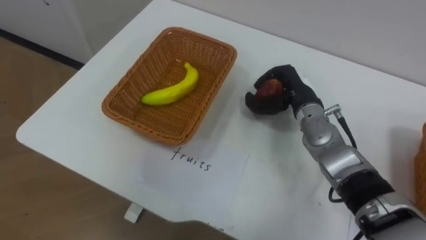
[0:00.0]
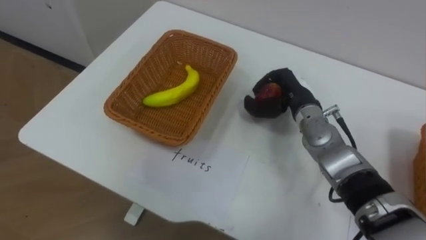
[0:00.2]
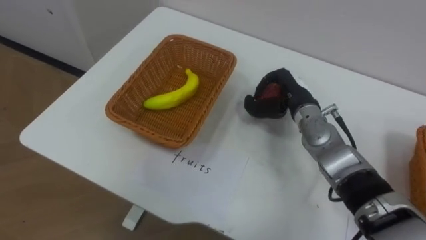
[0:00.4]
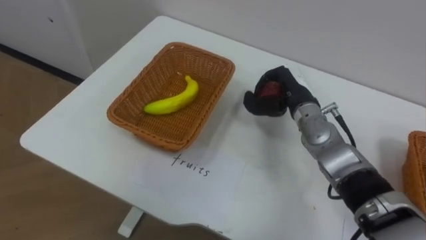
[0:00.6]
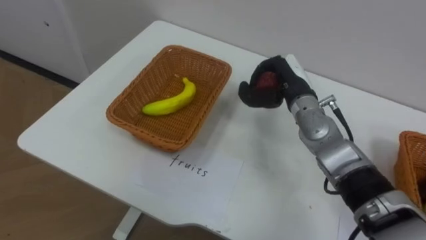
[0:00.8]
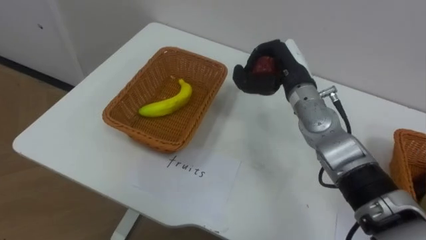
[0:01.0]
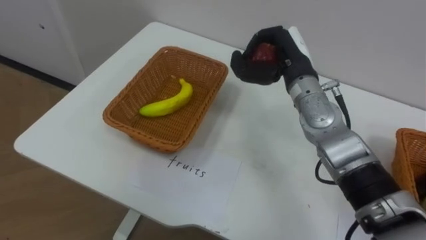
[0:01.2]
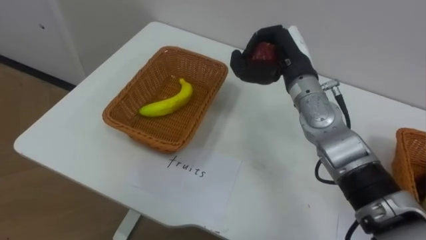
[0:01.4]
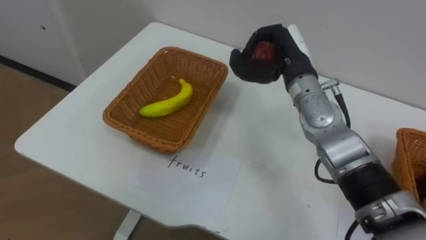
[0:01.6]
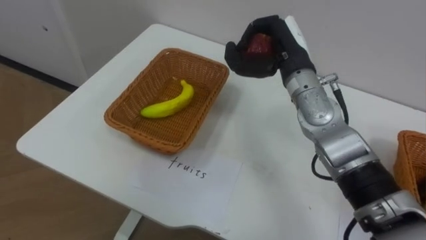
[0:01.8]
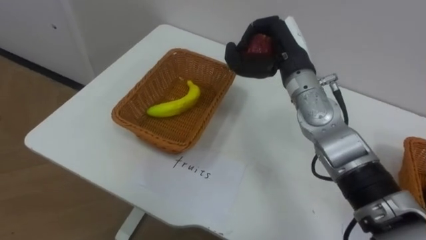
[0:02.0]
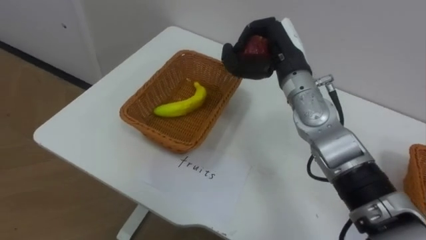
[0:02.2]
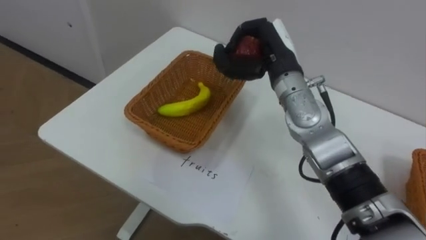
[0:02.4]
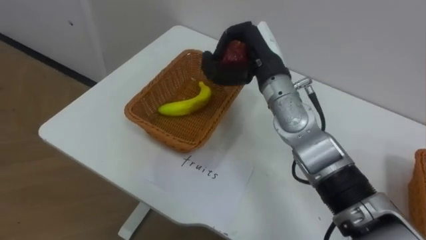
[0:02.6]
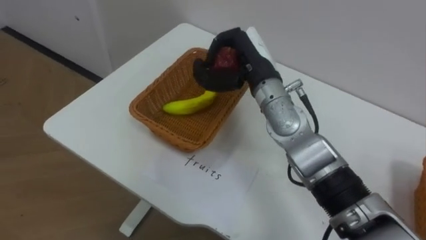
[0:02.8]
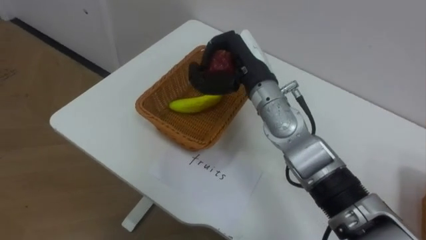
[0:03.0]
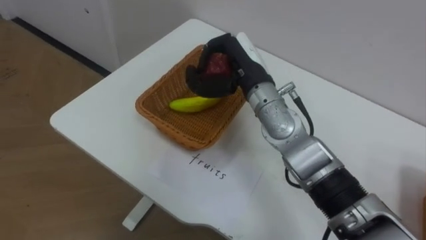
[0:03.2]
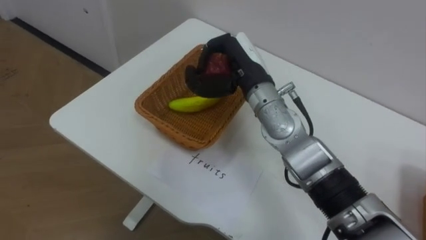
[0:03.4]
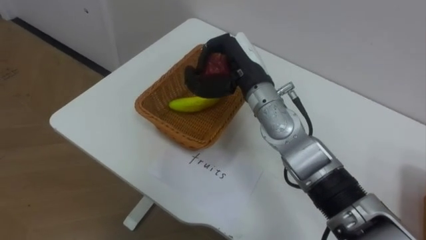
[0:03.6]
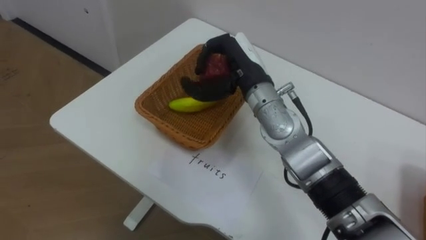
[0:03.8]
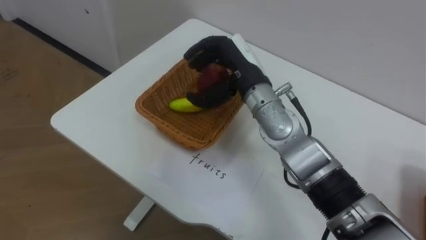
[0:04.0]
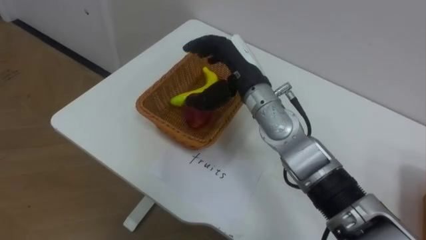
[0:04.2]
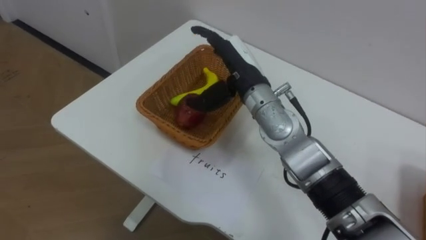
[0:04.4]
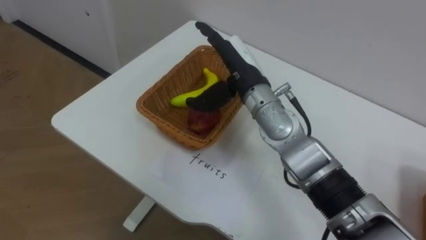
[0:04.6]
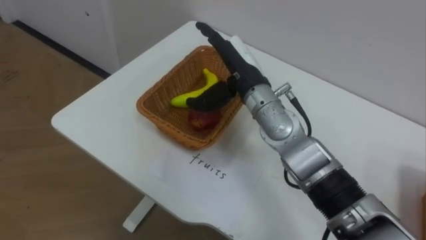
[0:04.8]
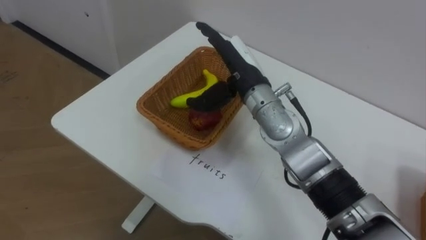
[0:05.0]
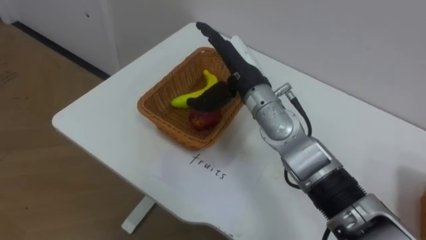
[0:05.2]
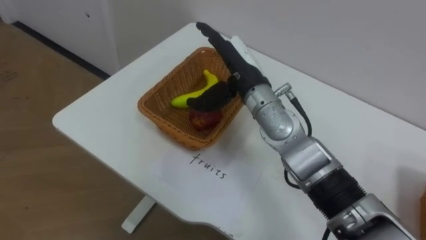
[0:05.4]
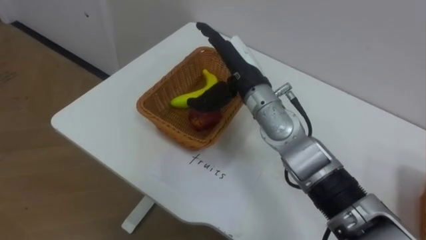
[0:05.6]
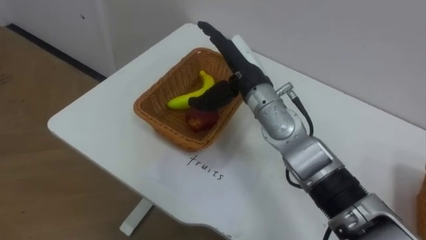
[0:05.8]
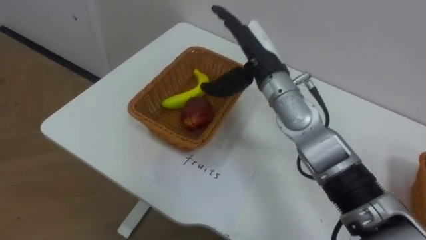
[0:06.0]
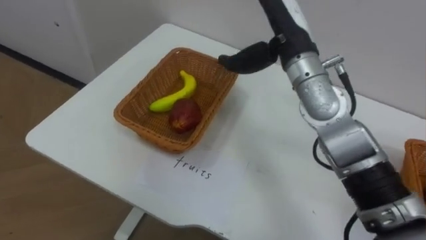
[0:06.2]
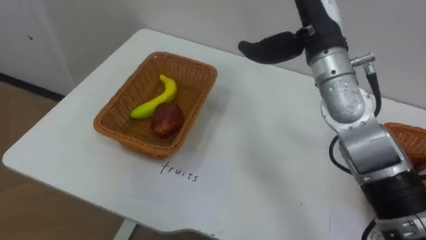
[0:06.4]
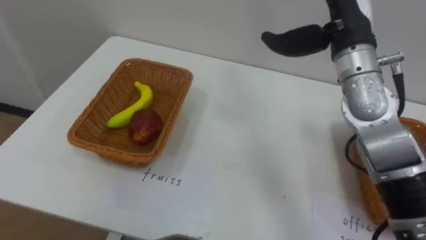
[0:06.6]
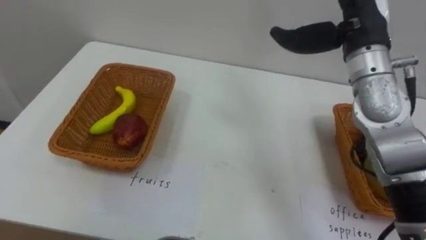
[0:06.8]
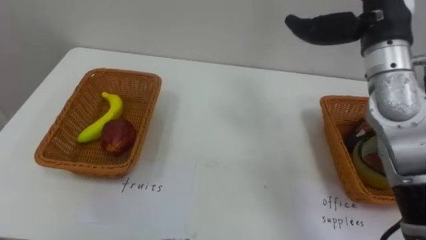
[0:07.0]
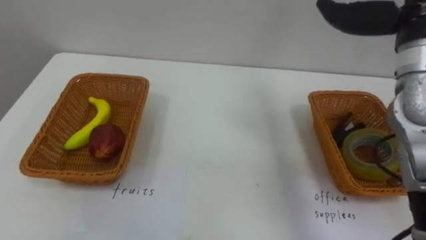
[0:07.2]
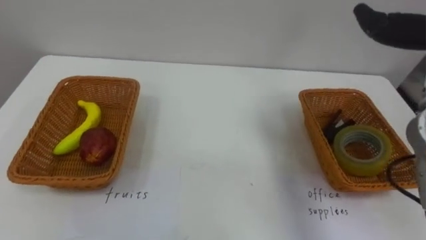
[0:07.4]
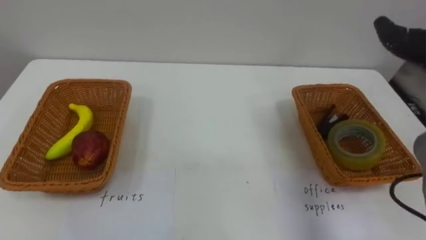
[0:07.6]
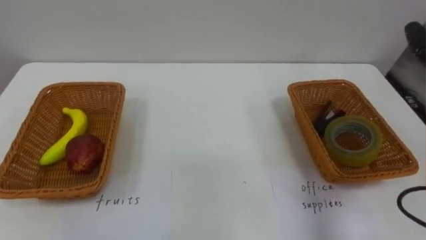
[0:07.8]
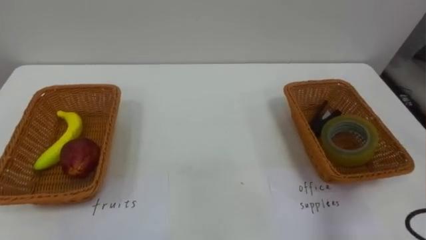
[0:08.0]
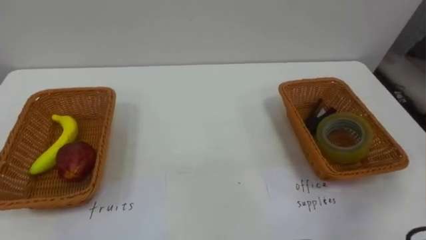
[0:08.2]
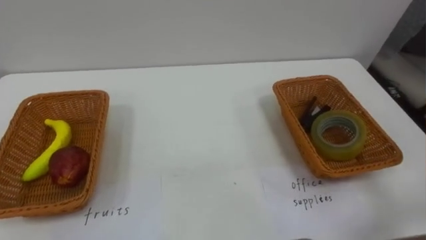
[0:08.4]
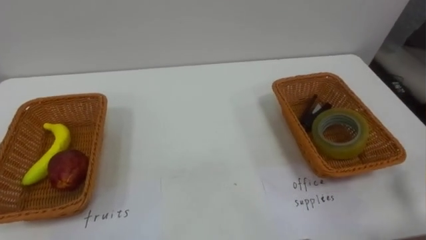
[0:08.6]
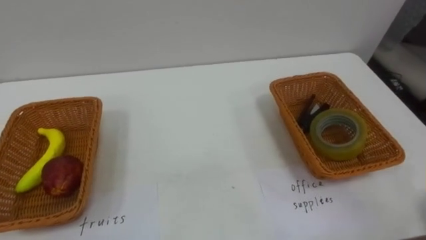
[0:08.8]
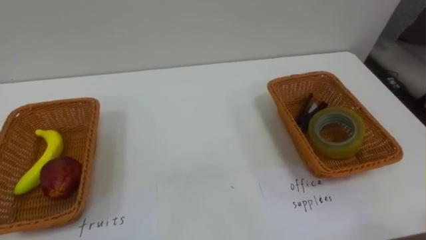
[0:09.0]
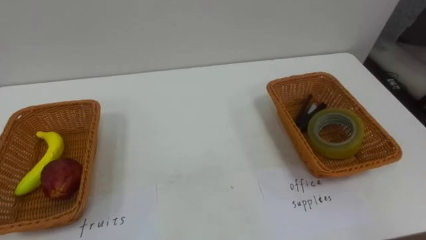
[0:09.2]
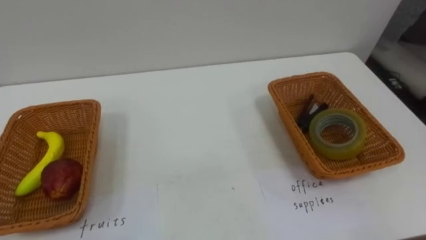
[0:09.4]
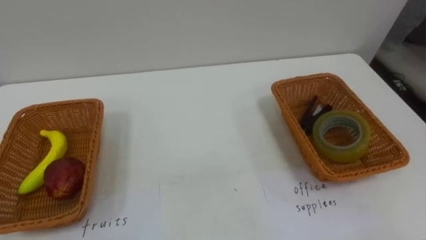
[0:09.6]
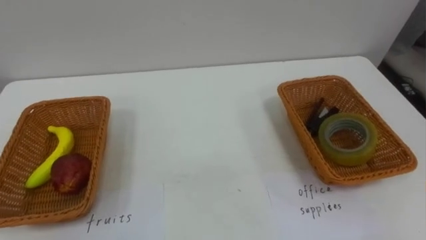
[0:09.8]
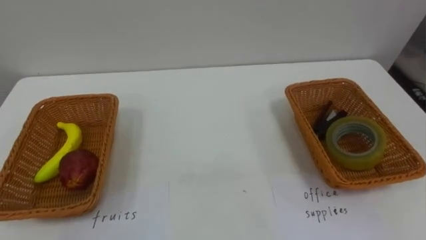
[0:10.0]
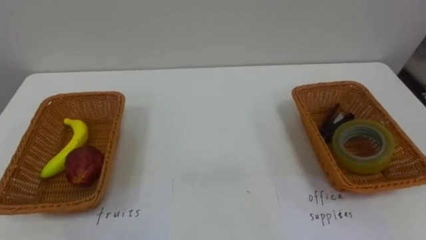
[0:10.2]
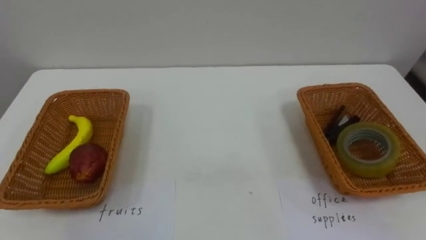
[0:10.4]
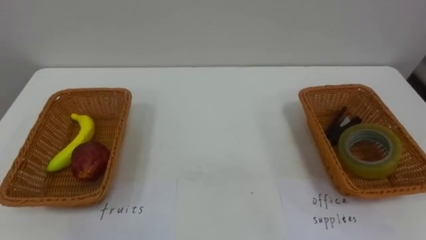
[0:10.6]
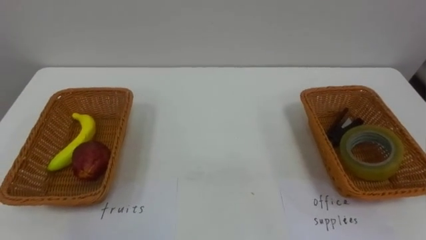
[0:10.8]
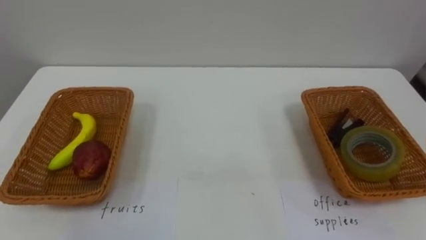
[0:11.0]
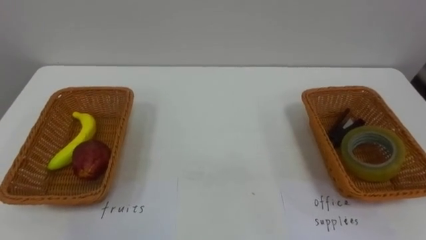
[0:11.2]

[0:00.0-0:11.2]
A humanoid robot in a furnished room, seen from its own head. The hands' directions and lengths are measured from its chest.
Task of the whole recording: Separate the items on the table and place them into the two baskets.
0:00.0 to 0:01.6: The right hand shifts approximately 10 cm upward.
0:01.6 to 0:03.2: The right hand shifts about 10 cm to the left.
0:03.2 to 0:04.8: The right hand opens.
0:04.8 to 0:06.4: The right hand shifts about 15 cm to the right and upward.

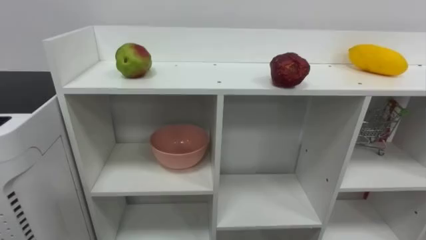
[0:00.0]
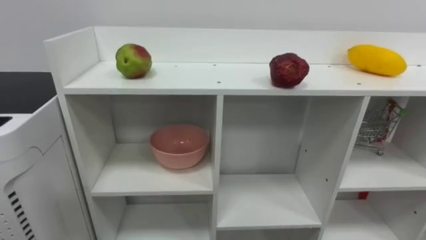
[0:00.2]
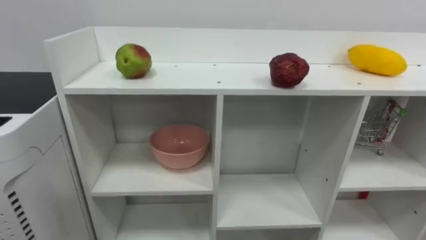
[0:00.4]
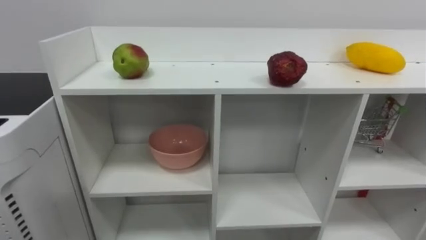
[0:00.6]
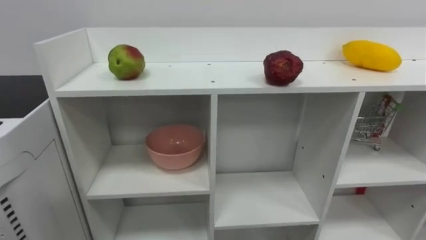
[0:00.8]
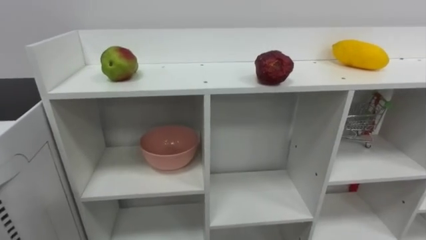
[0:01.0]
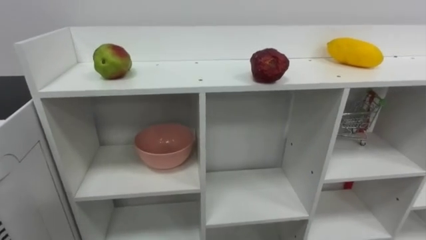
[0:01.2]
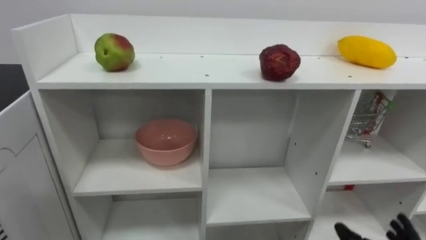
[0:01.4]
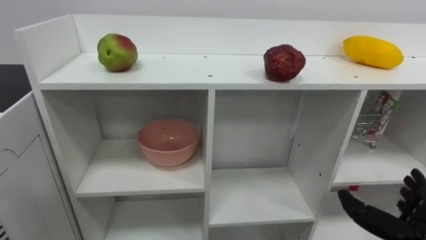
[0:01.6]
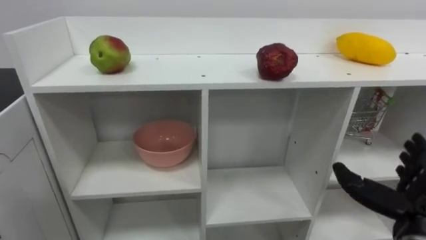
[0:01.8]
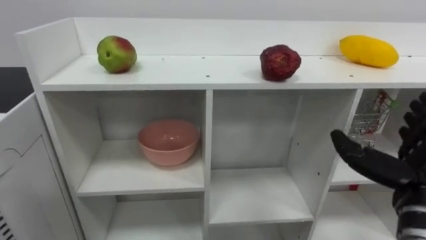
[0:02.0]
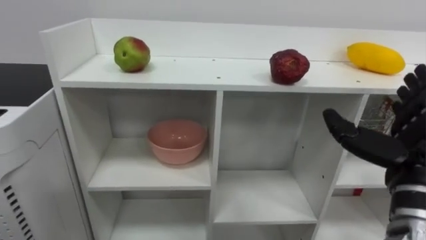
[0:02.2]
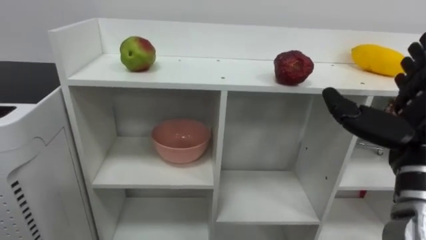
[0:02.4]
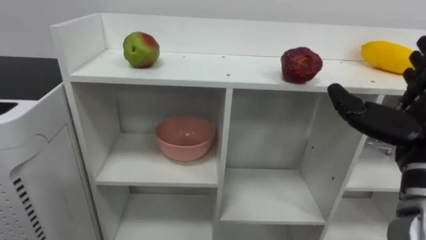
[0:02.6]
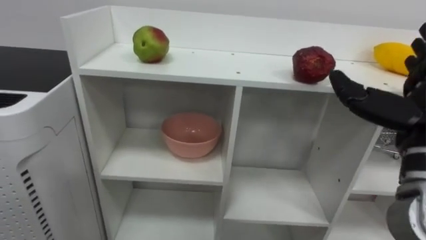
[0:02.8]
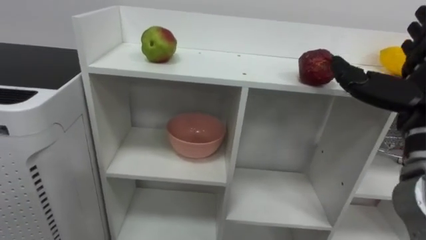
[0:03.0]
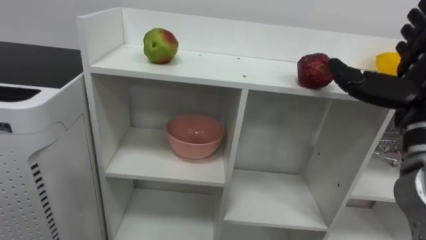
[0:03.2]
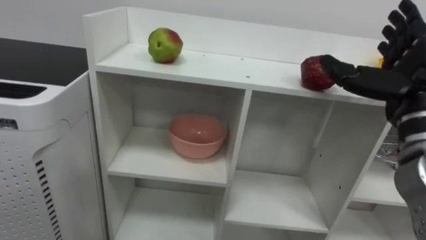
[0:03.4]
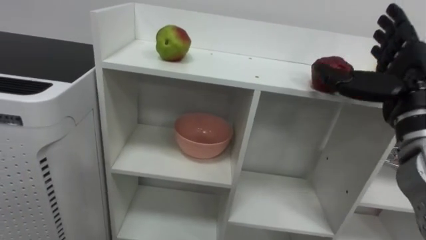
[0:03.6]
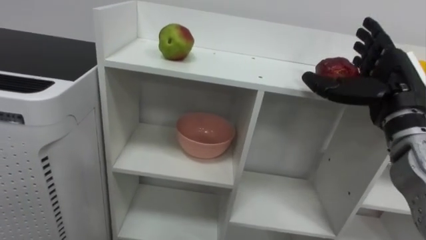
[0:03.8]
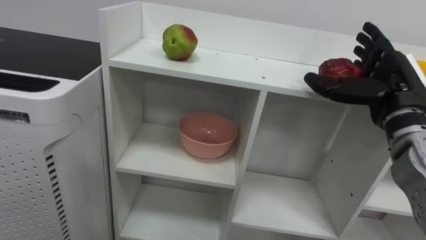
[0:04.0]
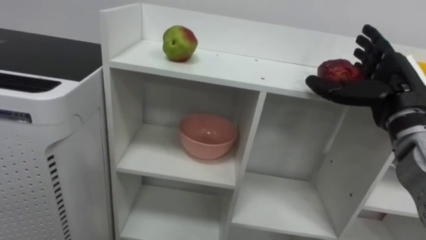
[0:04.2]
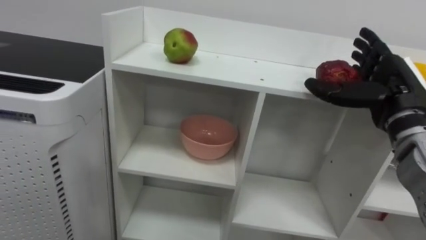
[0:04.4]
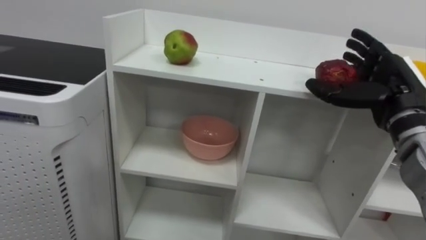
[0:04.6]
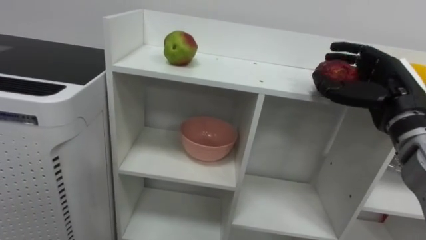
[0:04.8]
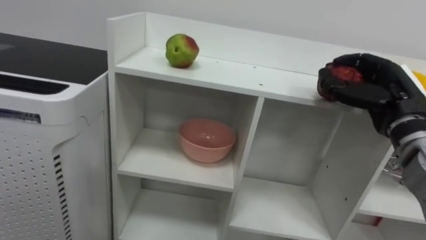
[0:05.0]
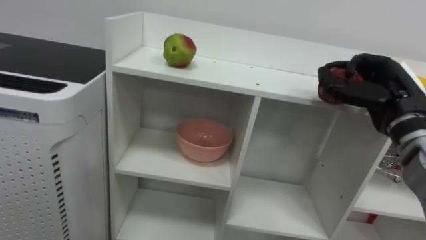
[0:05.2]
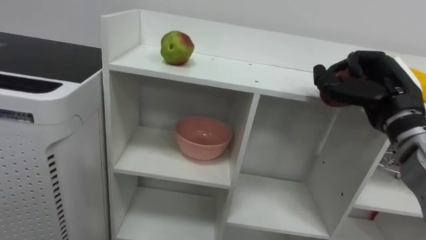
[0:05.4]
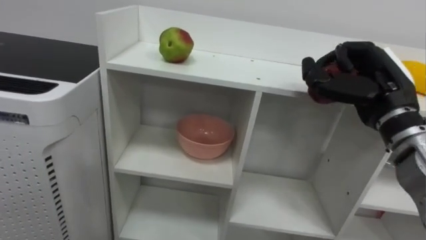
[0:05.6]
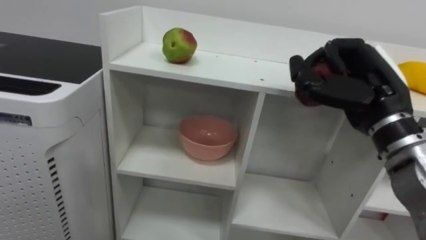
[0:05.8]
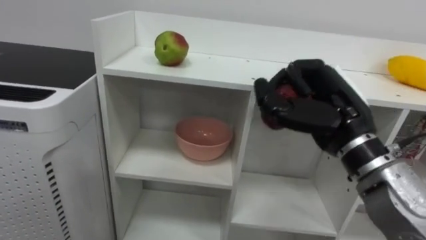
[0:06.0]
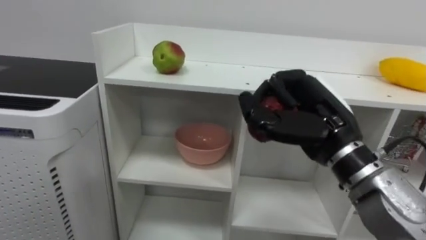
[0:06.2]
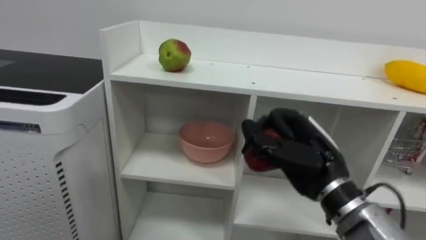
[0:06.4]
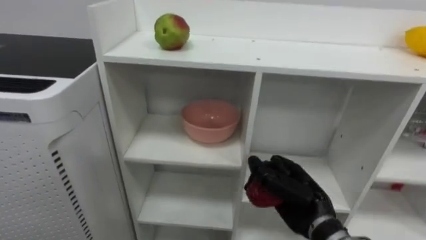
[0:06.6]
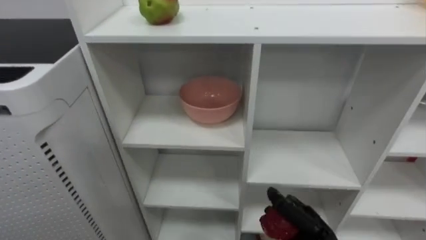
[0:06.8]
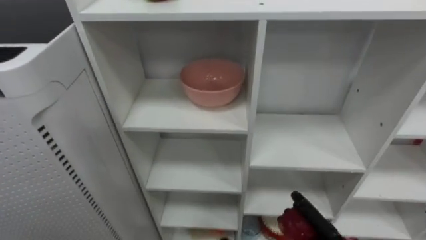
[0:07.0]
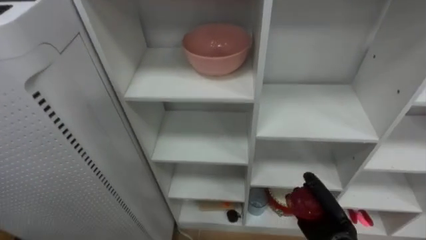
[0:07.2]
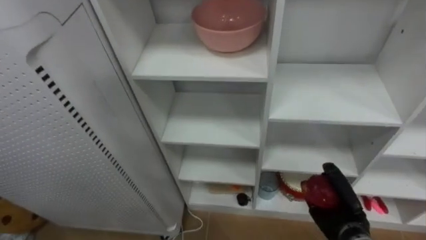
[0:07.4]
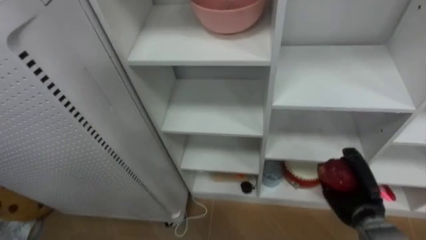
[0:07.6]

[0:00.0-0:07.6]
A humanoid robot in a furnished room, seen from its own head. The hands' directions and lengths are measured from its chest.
Task of the whole recording: Put the apple in the cell in the second column from the left and the second row from the top.
0:03.0 to 0:04.6: The right hand shifts some 5 cm forward.
0:04.6 to 0:06.0: The right hand shifts roughly 10 cm to the left and backward, and closes its fingers.
